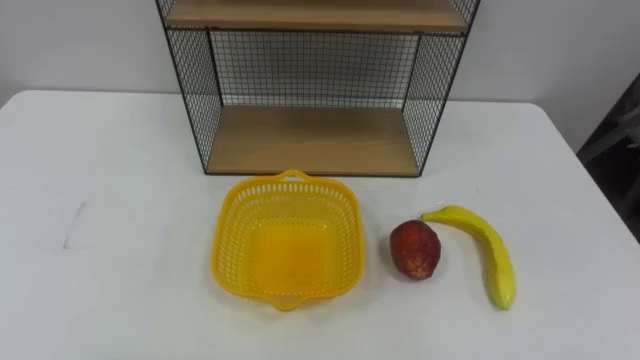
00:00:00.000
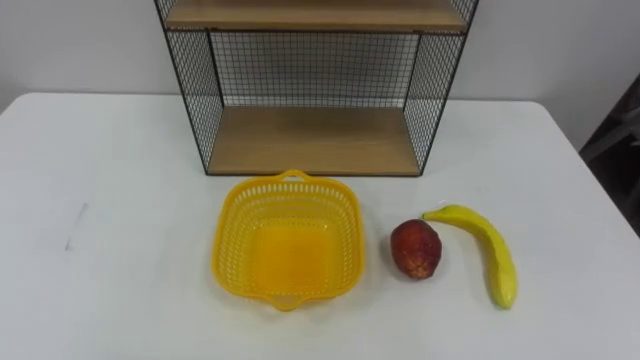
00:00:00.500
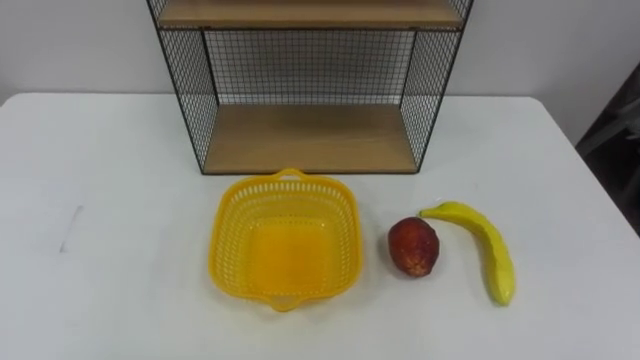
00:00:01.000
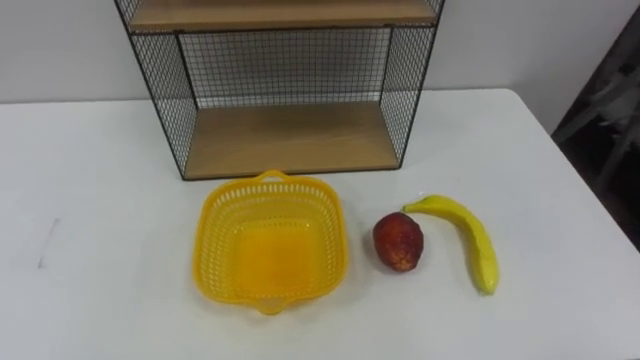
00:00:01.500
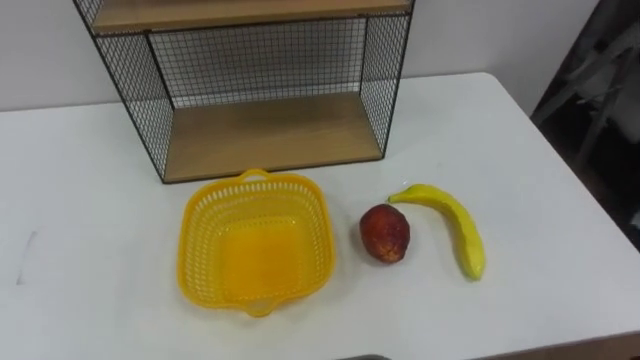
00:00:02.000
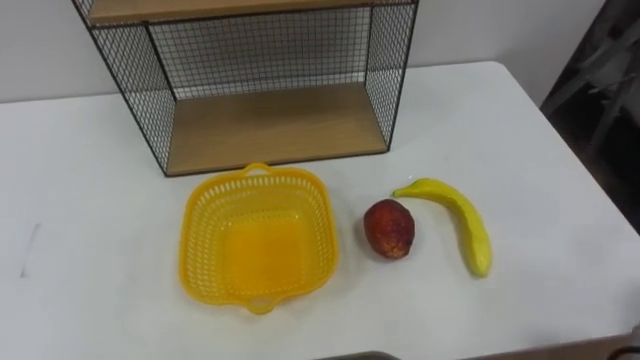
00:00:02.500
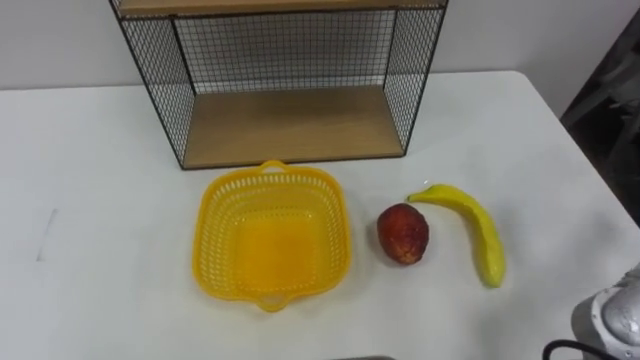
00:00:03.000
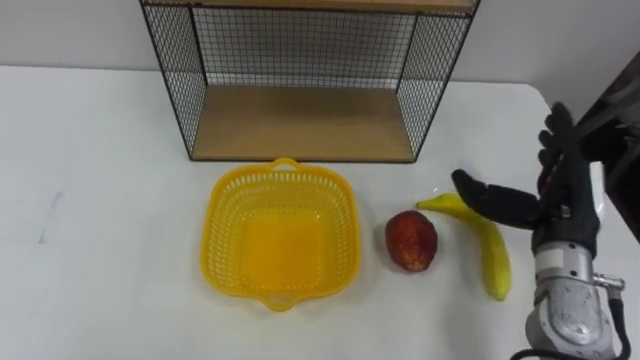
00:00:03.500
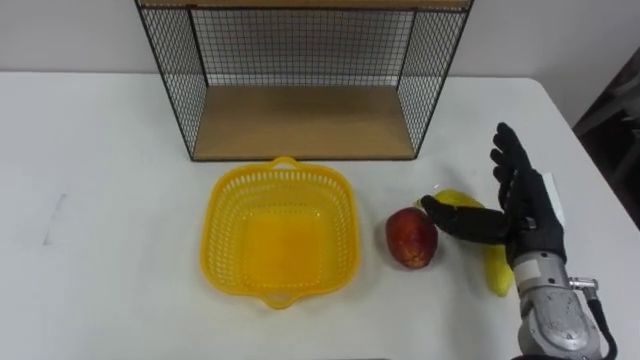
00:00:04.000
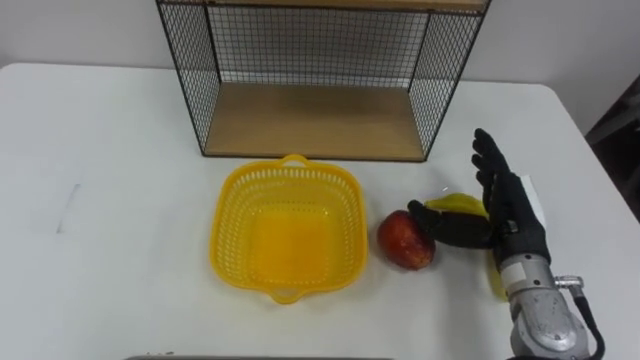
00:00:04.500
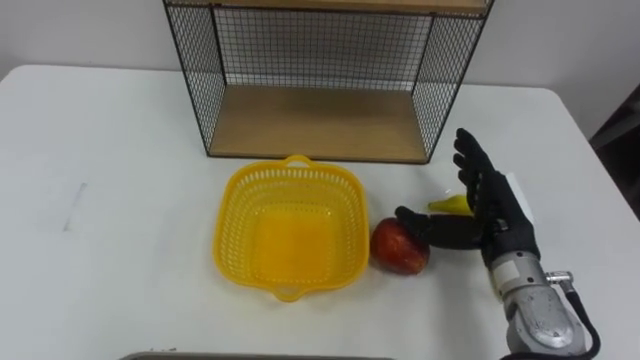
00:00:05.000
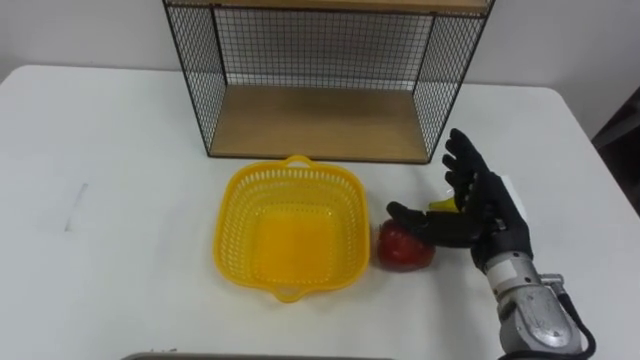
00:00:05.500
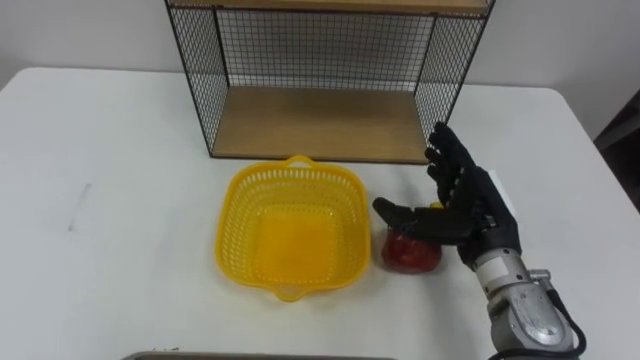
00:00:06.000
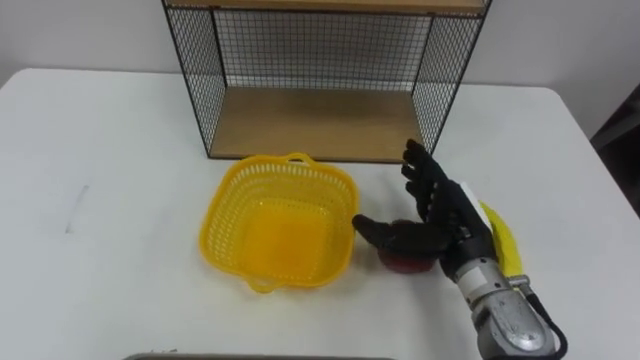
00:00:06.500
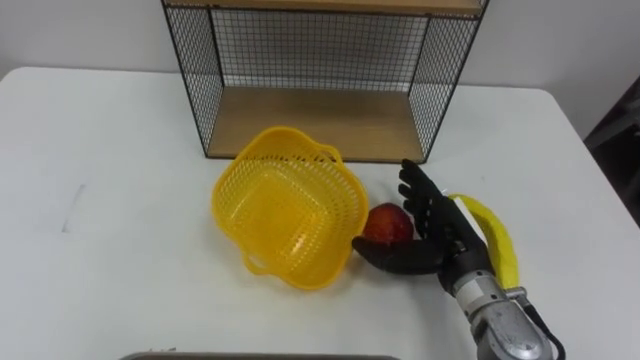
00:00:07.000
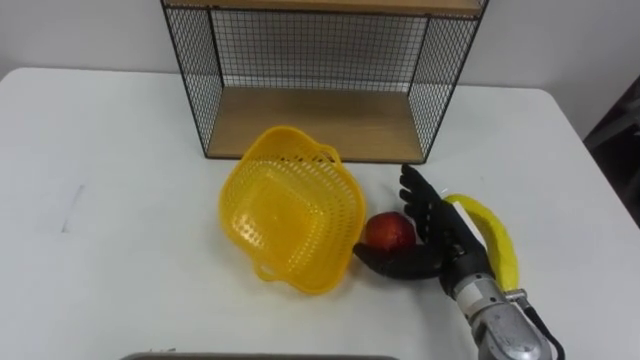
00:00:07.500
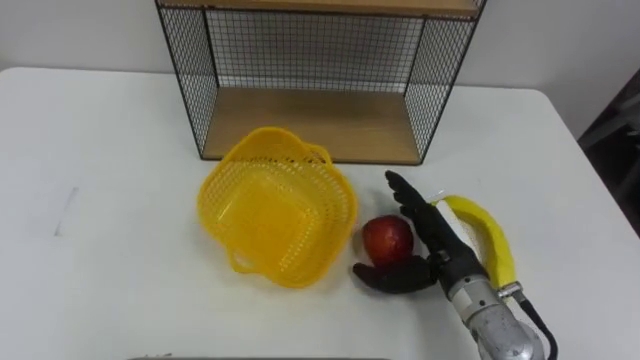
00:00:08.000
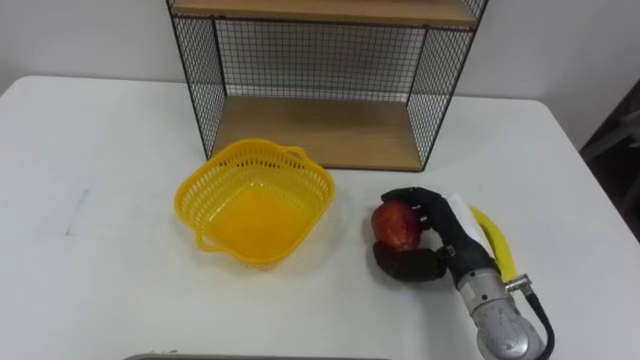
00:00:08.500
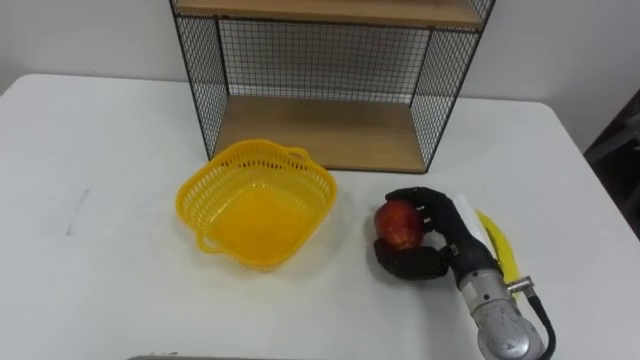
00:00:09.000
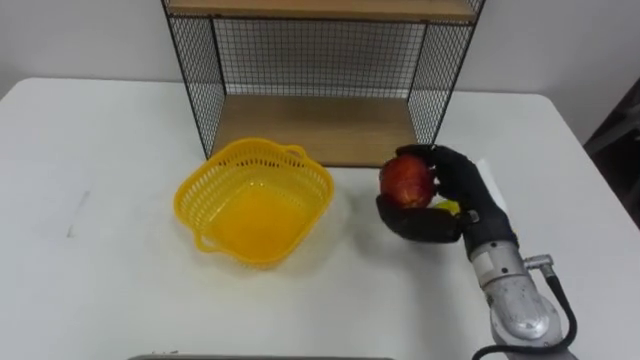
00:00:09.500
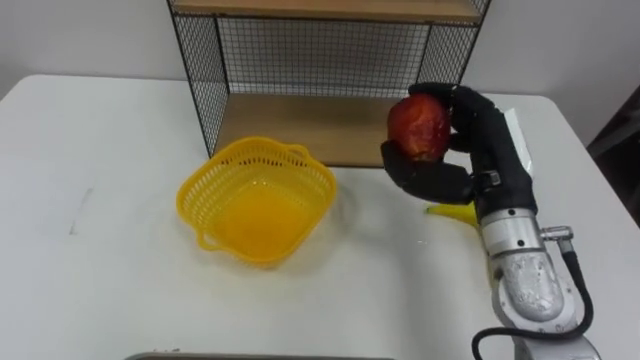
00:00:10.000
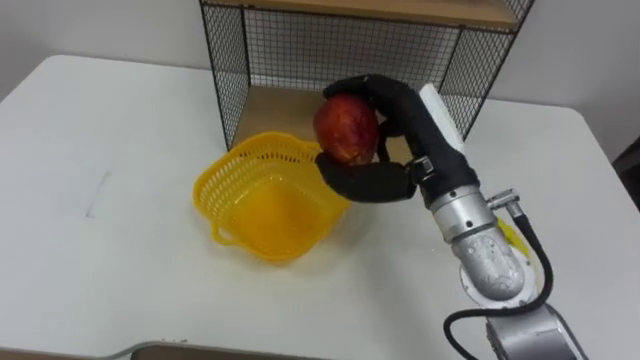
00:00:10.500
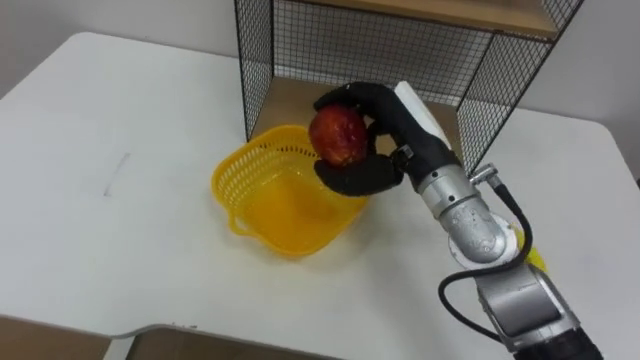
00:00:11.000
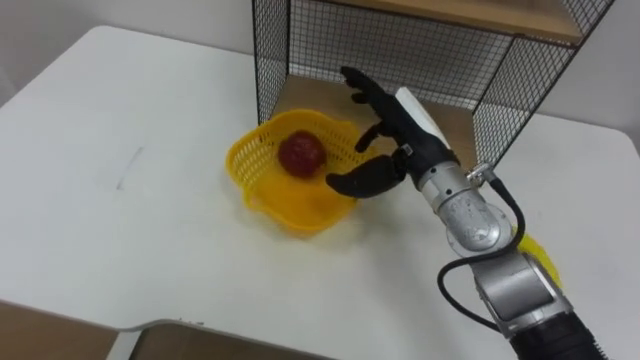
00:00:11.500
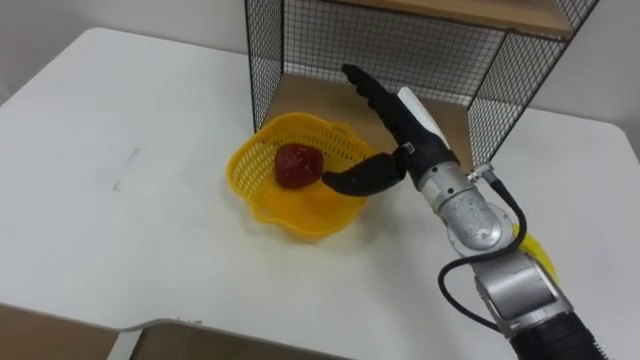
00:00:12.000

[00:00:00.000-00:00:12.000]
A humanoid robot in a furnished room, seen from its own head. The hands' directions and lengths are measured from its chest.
Task of the whole recording: Put the fruit on the table into the basket, then place the basket on the shelf.
00:00:04.000 to 00:00:06.000: The right hand shifts approximately 5 cm to the left.
00:00:06.000 to 00:00:08.000: The right hand changes place by some 5 cm.
00:00:08.000 to 00:00:10.000: The right hand goes approximately 10 cm upward, and closes up.
00:00:10.000 to 00:00:12.000: The right hand is displaced to the left and forward by approximately 10 cm, and opens up.

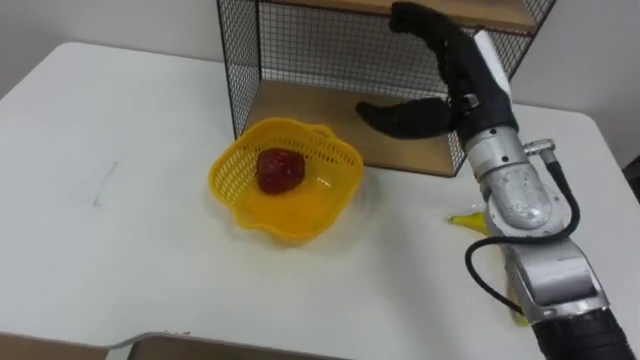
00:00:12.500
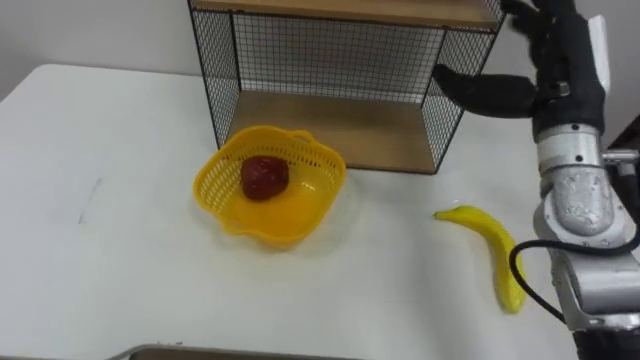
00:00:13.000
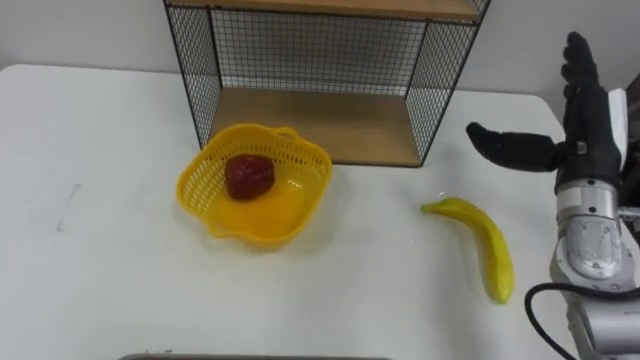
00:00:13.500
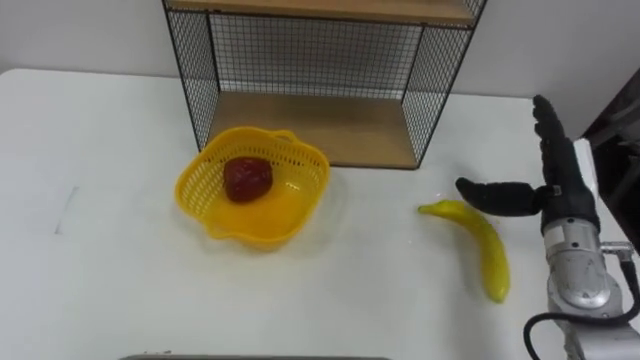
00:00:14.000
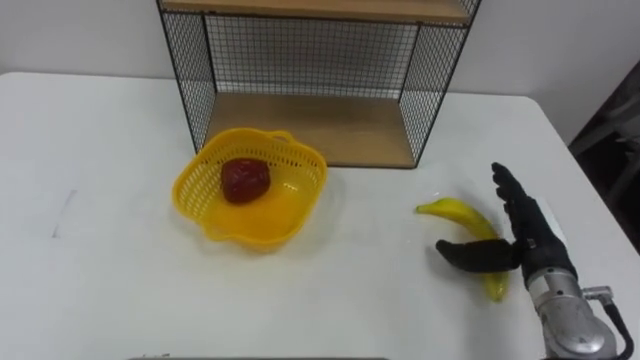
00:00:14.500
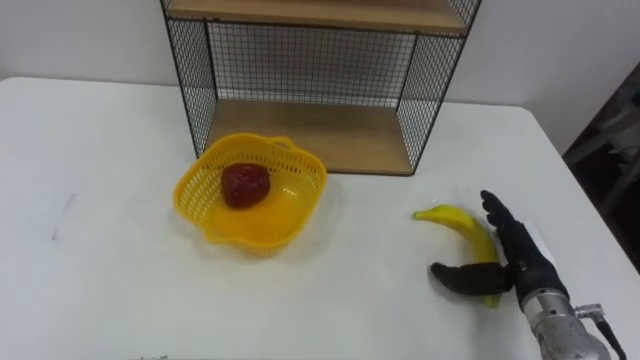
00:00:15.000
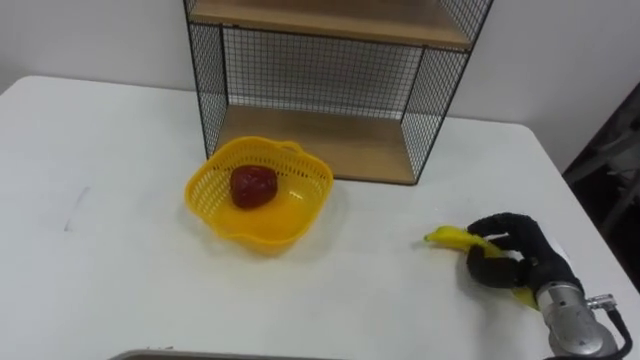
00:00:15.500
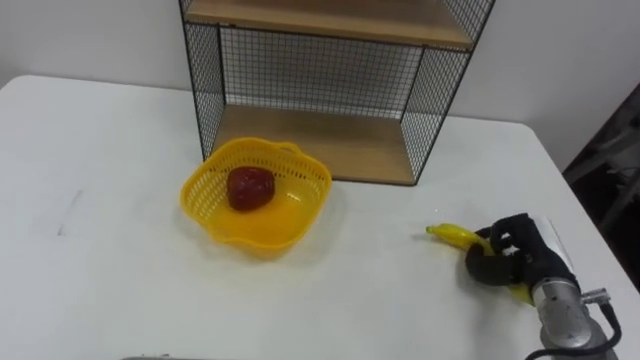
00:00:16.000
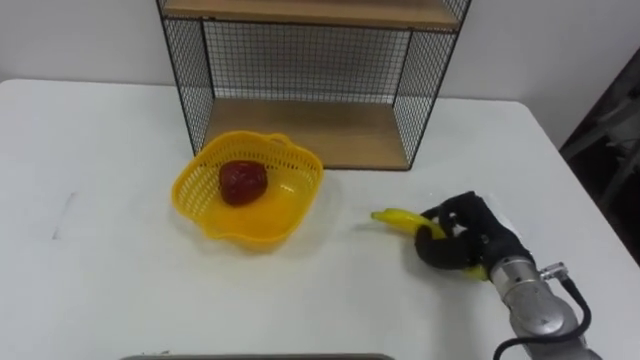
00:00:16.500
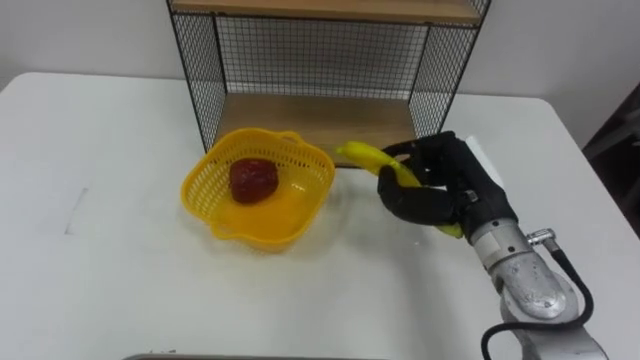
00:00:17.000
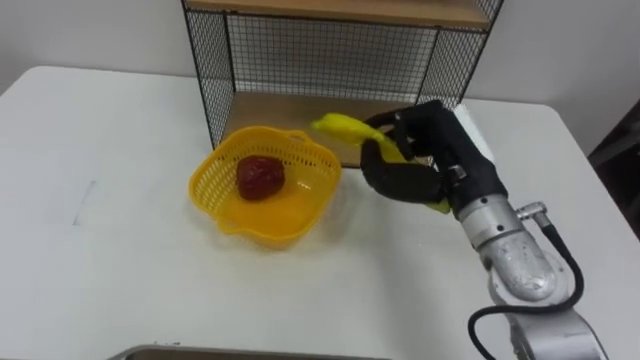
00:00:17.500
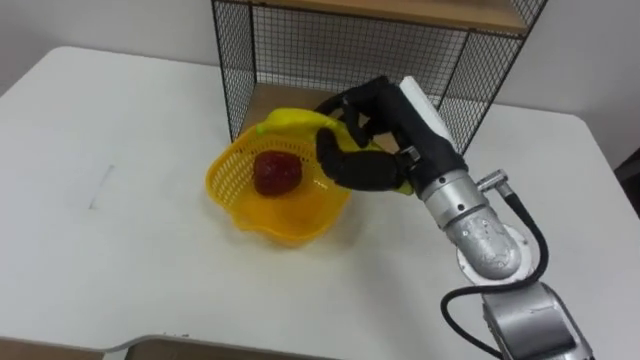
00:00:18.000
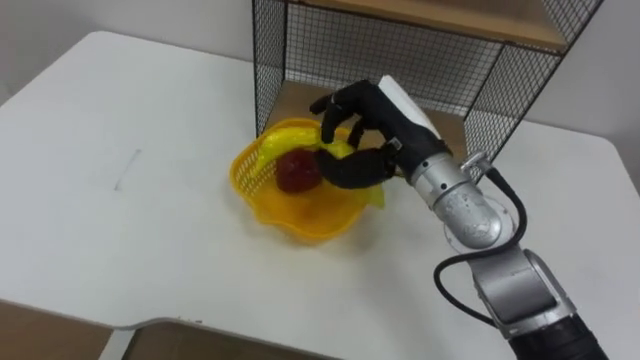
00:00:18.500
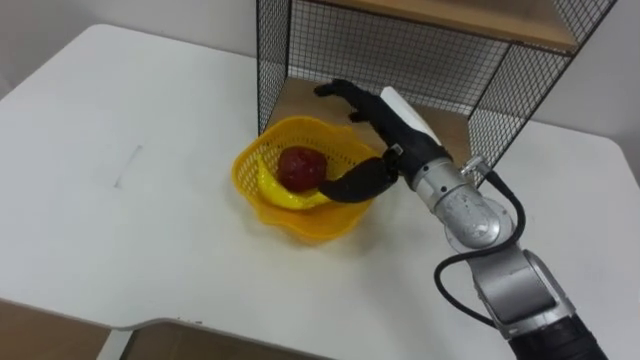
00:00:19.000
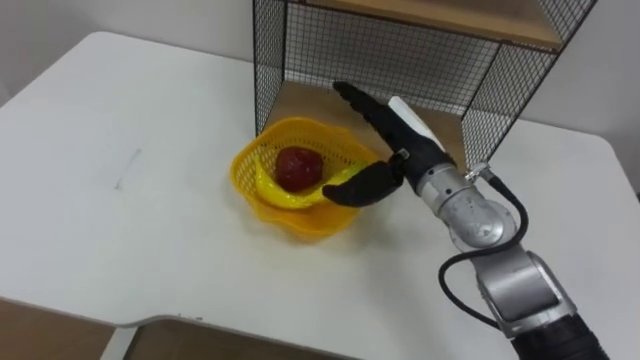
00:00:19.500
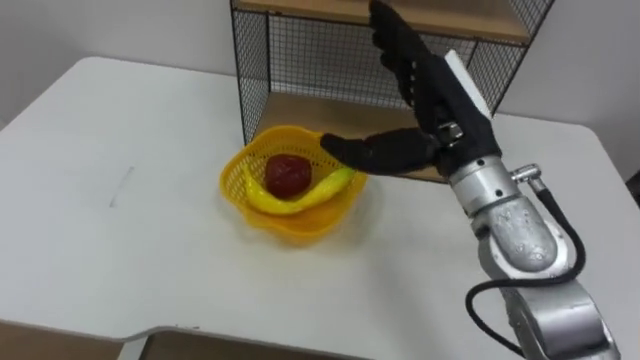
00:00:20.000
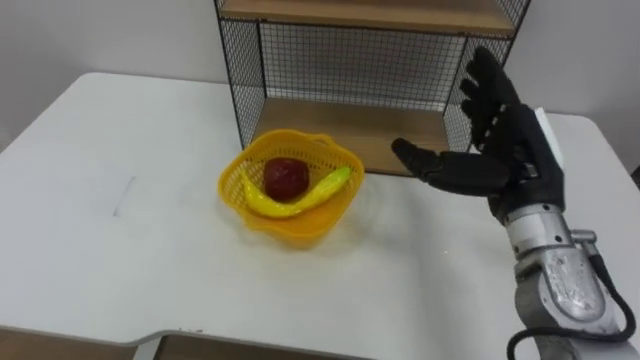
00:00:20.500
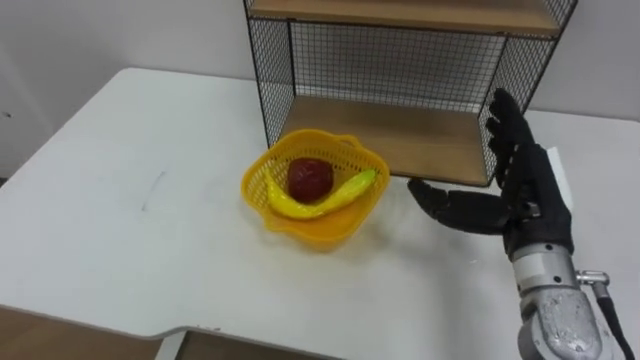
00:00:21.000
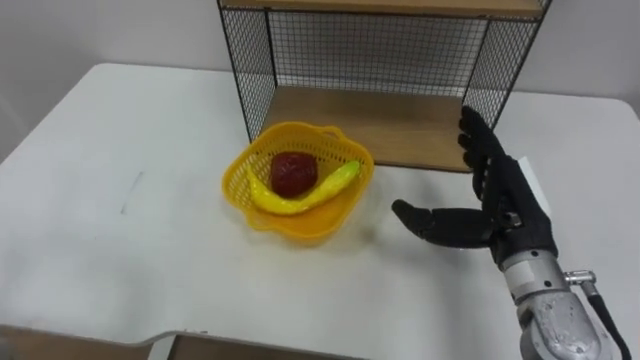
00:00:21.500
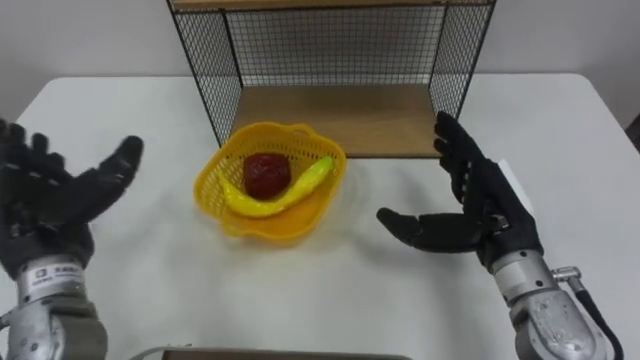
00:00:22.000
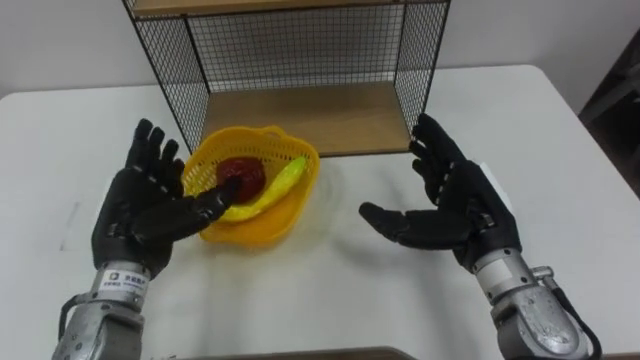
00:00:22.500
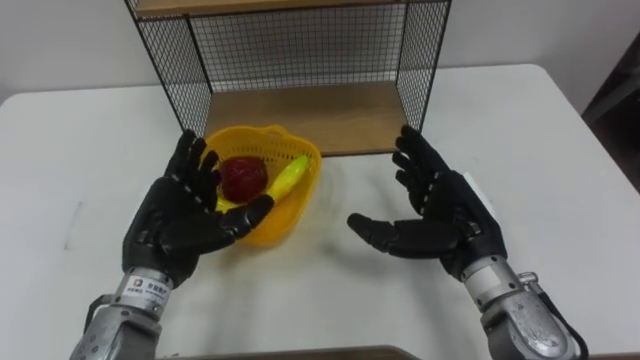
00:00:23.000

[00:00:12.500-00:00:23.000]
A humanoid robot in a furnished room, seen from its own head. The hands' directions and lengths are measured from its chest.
Task of the whole recording: Put the fruit on the table into the basket, then place the basket on the shelf.
00:00:12.500 to 00:00:14.500: The right hand shifts some 20 cm downward, to the right and backward.
00:00:14.500 to 00:00:16.500: The right hand closes.
00:00:16.500 to 00:00:19.000: The right hand shifts approximately 20 cm to the left, upward and forward, and opens.
00:00:19.000 to 00:00:21.000: The right hand travels to the right and backward by about 15 cm.
00:00:21.000 to 00:00:23.000: The right hand moves to the left, roughly 5 cm.
